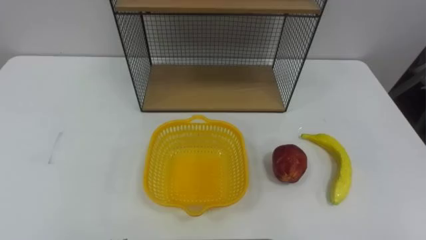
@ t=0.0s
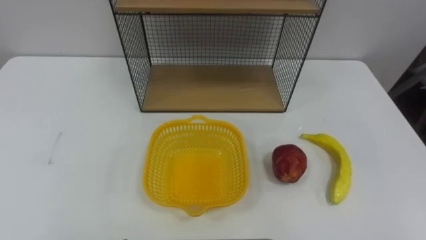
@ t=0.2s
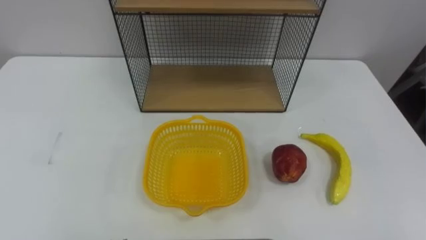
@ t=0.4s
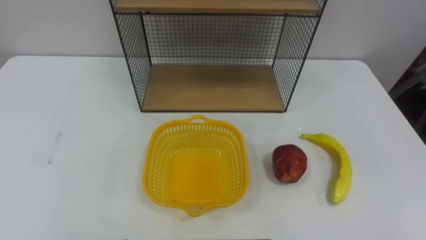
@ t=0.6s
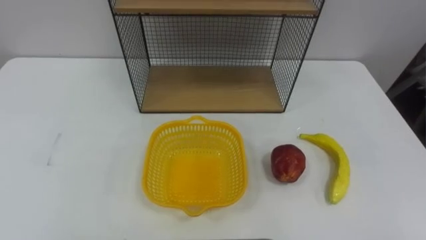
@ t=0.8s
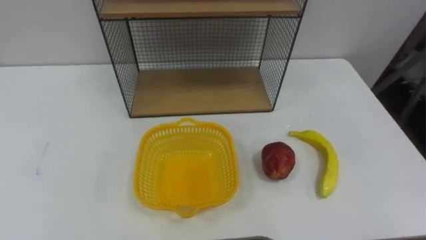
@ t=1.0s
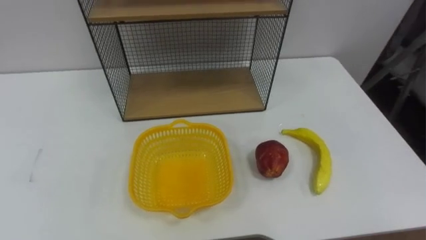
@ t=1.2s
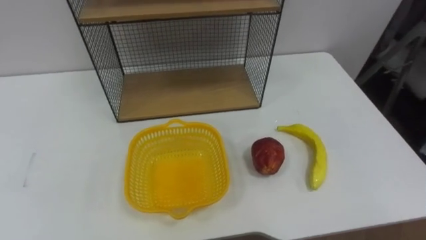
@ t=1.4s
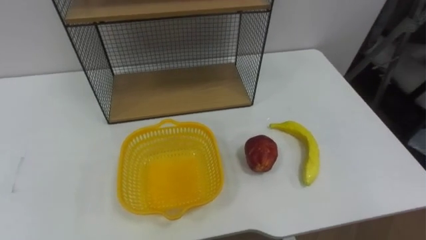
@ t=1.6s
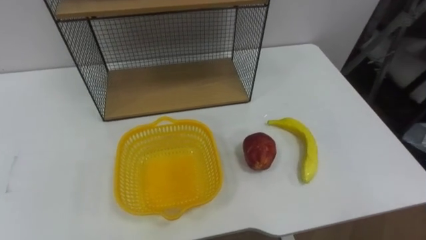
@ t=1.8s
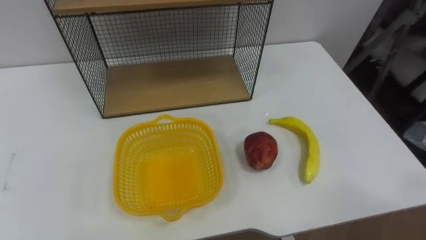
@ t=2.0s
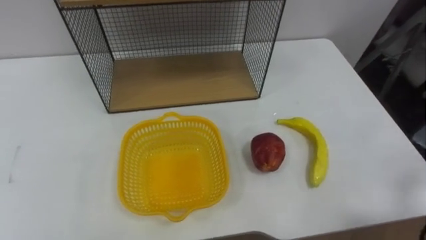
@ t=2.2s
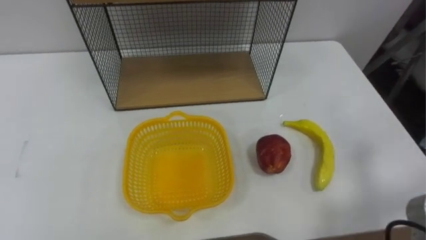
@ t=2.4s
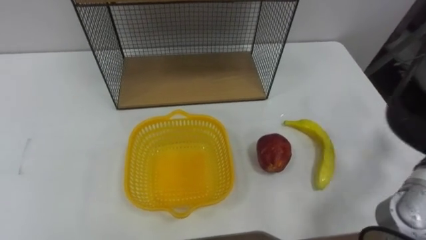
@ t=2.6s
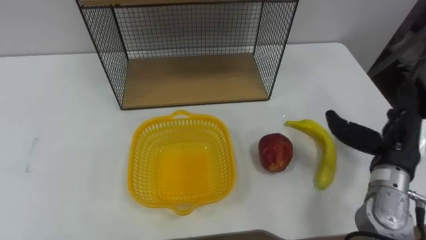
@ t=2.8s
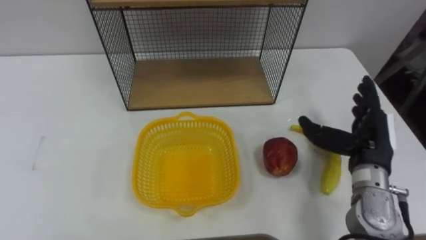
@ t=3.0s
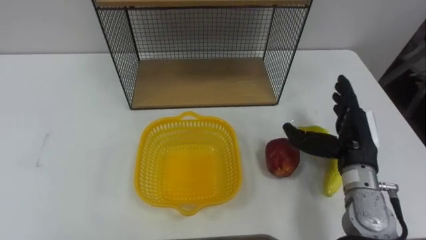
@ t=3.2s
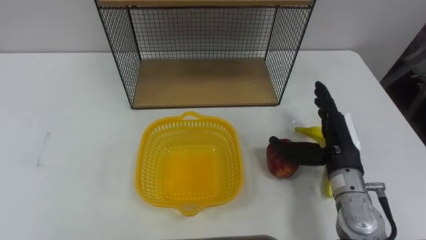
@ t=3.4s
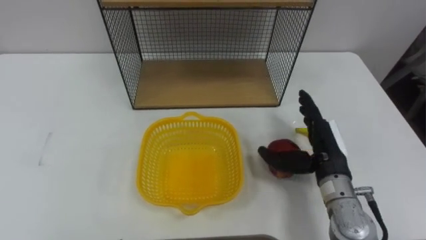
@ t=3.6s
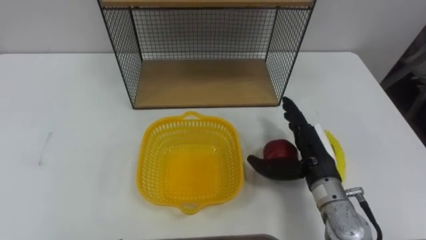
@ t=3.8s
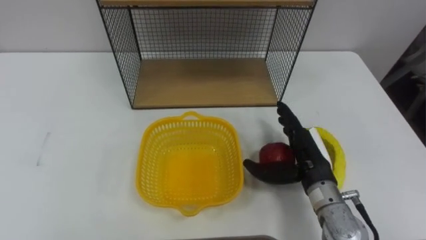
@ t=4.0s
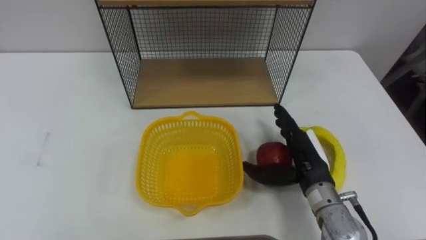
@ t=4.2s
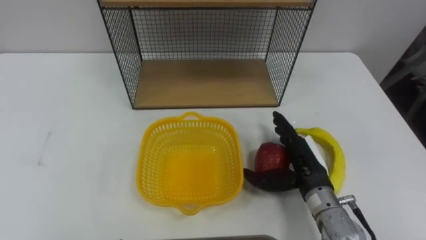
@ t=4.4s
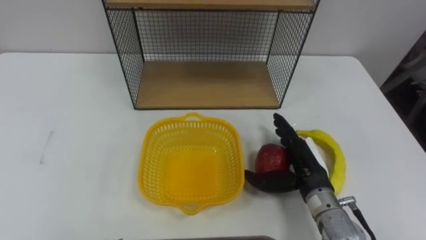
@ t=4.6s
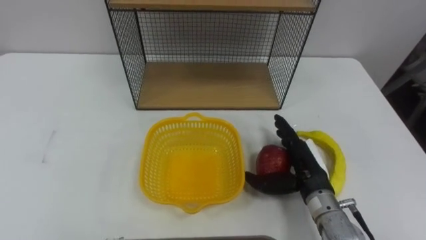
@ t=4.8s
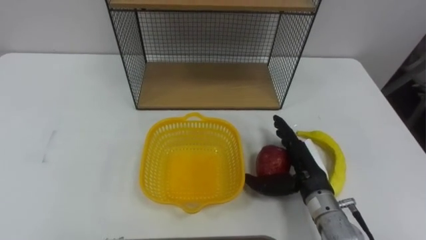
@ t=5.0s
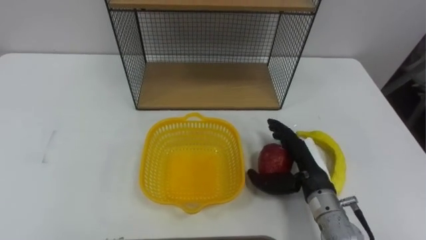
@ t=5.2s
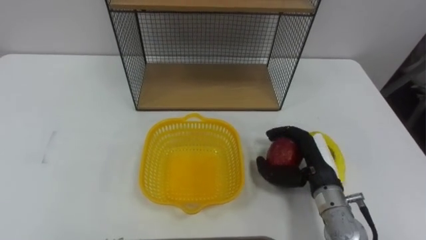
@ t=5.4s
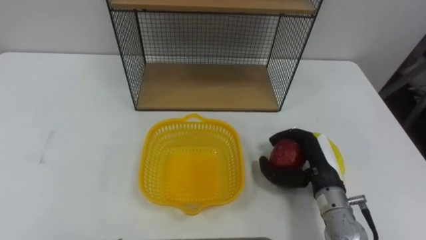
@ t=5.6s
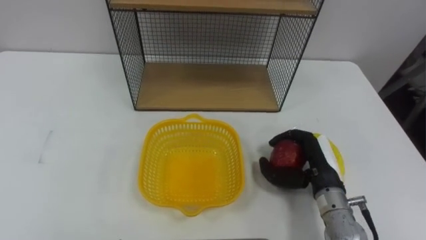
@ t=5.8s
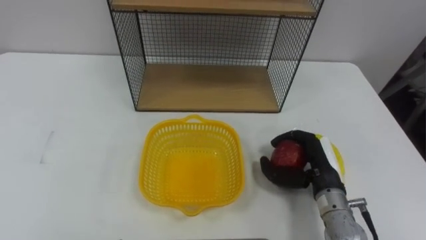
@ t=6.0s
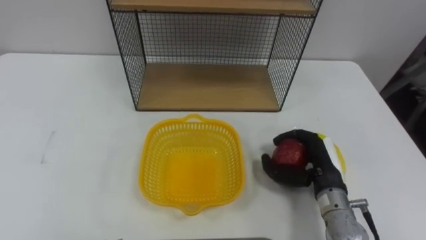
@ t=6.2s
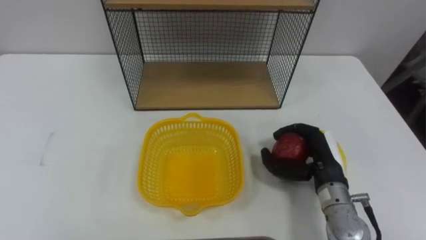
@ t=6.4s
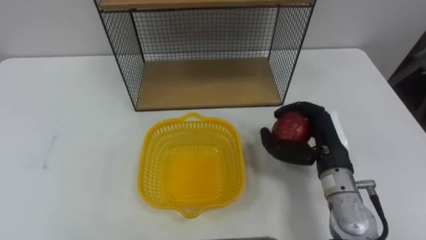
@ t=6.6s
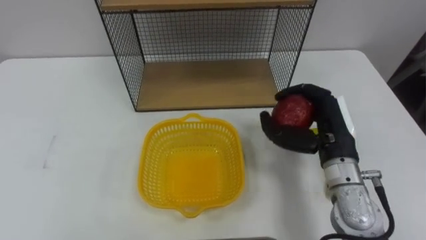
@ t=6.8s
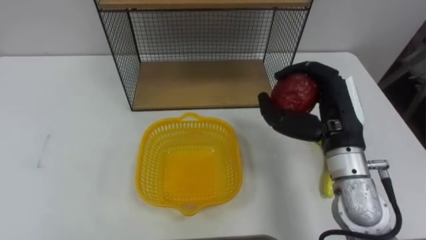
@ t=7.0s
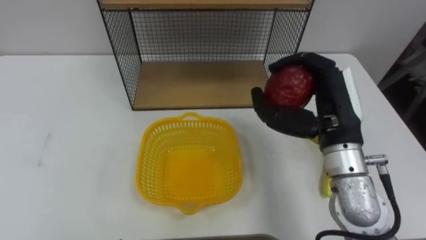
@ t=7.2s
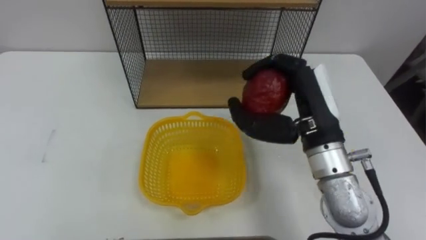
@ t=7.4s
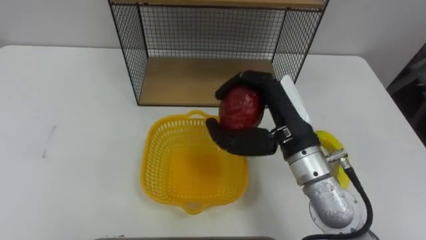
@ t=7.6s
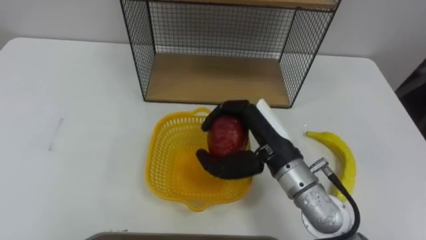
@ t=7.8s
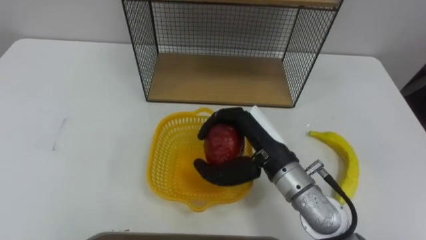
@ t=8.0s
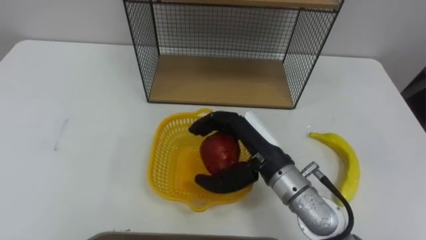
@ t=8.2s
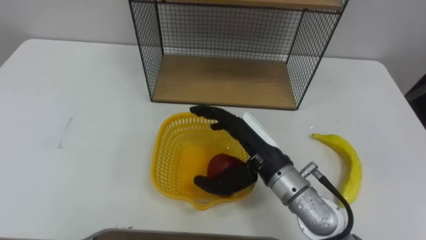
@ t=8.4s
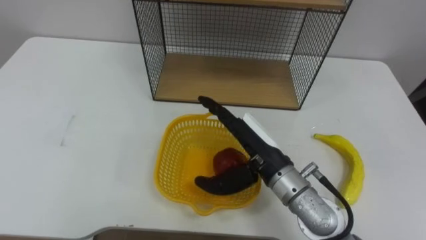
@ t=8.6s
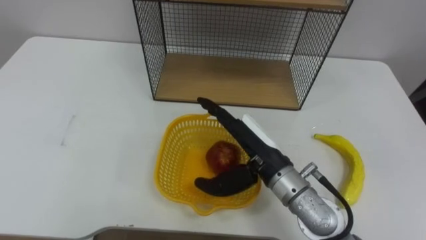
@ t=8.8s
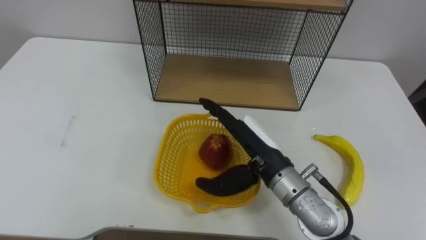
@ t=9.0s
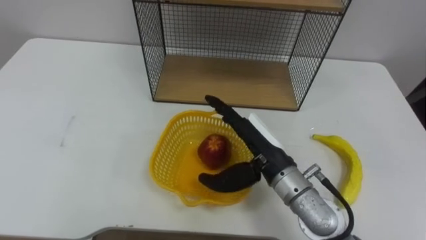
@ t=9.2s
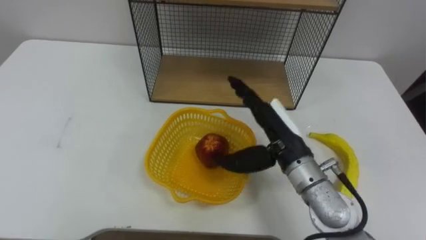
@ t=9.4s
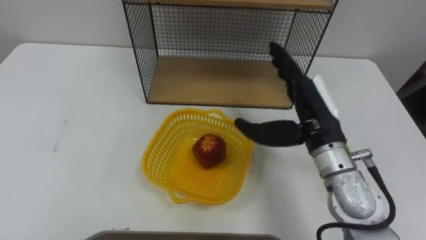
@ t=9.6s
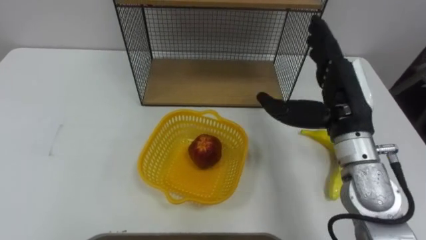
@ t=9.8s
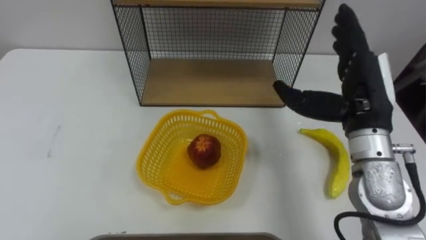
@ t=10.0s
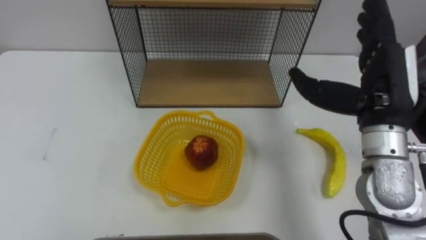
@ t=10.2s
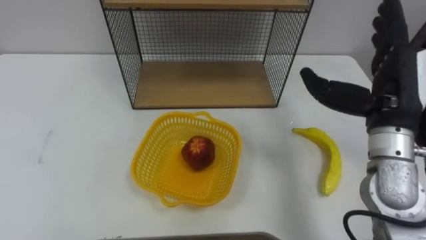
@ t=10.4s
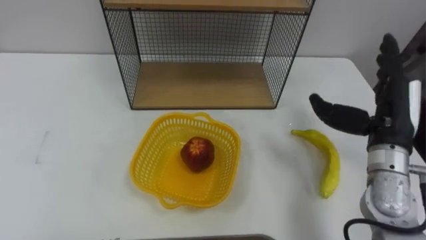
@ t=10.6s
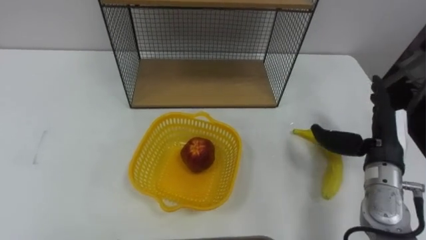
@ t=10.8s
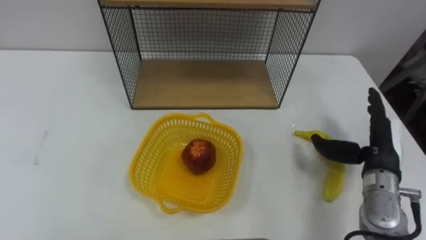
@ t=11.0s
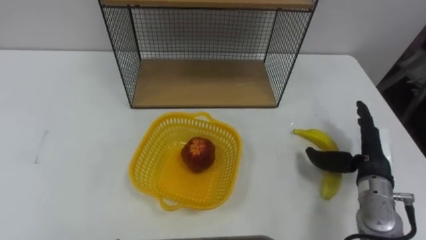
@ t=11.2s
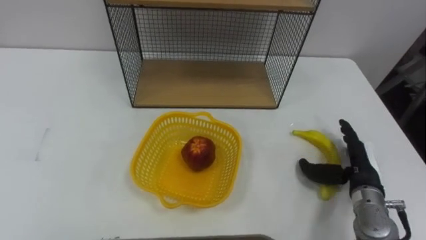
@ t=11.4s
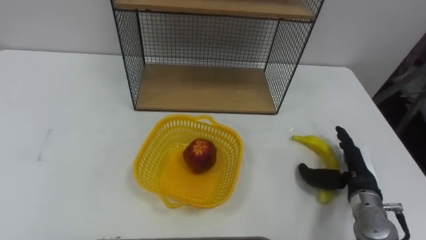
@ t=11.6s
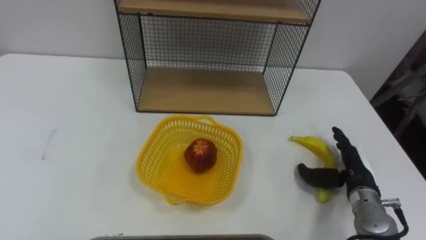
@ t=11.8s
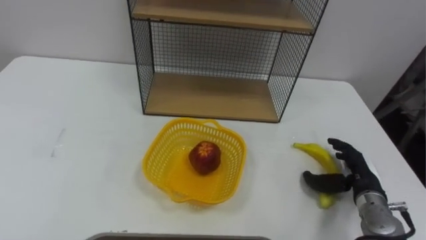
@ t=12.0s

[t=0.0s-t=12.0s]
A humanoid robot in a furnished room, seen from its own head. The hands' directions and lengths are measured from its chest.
Task of the whole recording: Put the fruit on the table into the basket, then place the basket on the shelf.
t=3.0s to t=4.4s: The right hand travels to the left and downward by roughly 10 cm.
t=4.4s to t=6.0s: The right hand closes.
t=6.0s to t=7.6s: The right hand is displaced upward and to the left by roughly 20 cm.
t=7.6s to t=9.0s: The right hand heads downward, covering approximately 5 cm, and opens up.
t=9.0s to t=10.4s: The right hand moves to the right and upward, approximately 20 cm.
t=10.4s to t=12.0s: The right hand goes about 25 cm downward.

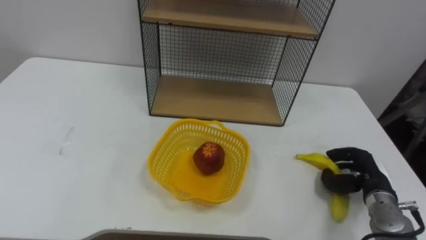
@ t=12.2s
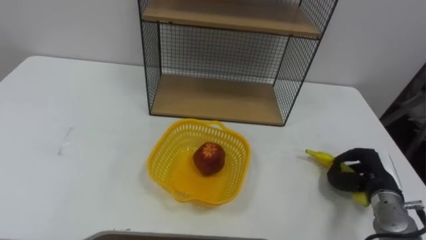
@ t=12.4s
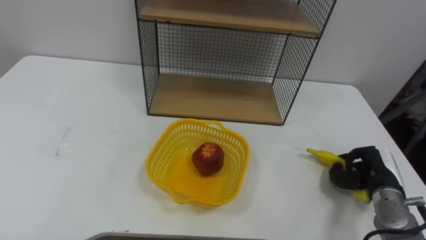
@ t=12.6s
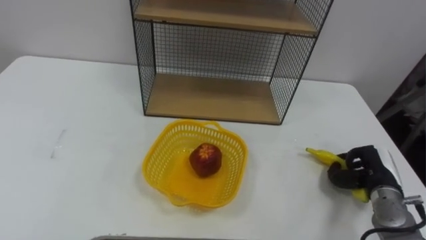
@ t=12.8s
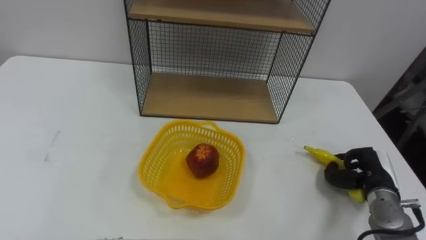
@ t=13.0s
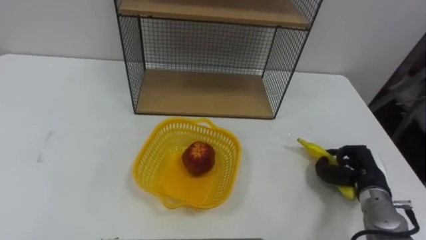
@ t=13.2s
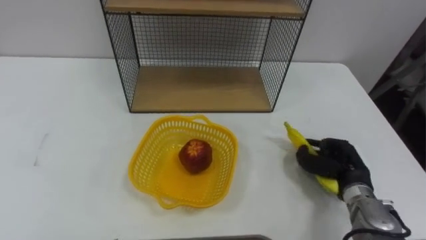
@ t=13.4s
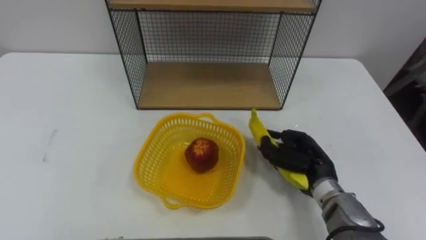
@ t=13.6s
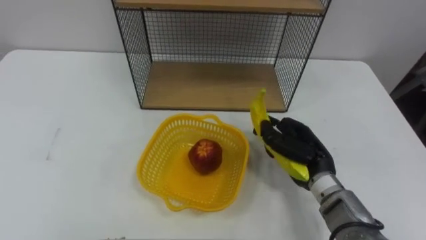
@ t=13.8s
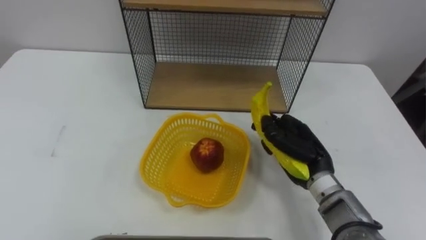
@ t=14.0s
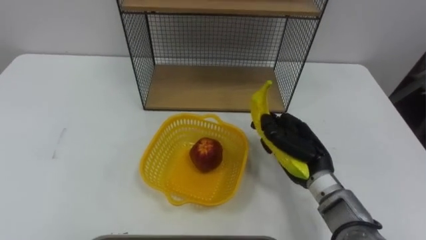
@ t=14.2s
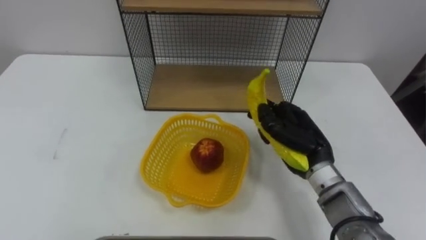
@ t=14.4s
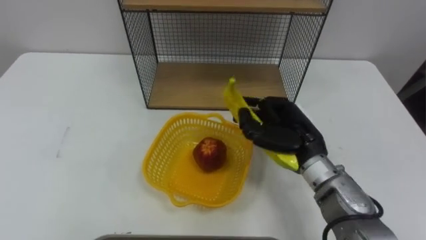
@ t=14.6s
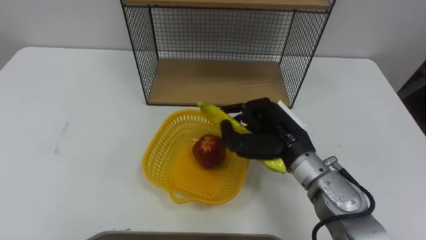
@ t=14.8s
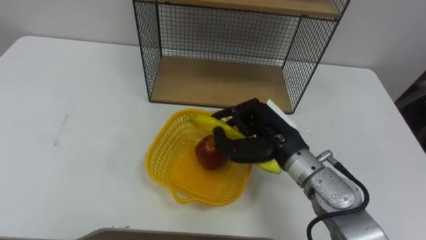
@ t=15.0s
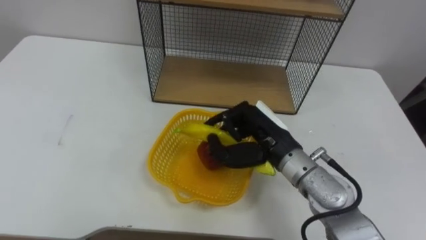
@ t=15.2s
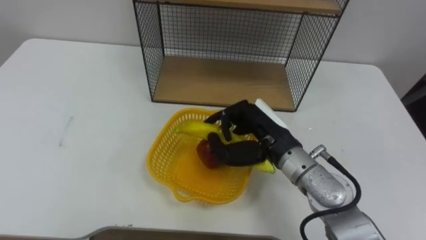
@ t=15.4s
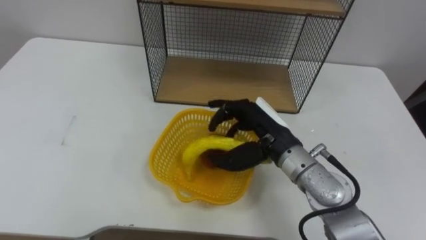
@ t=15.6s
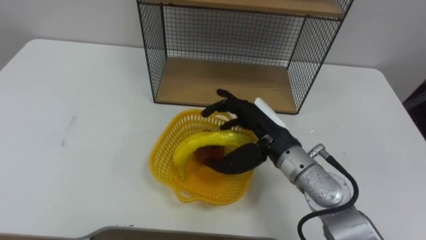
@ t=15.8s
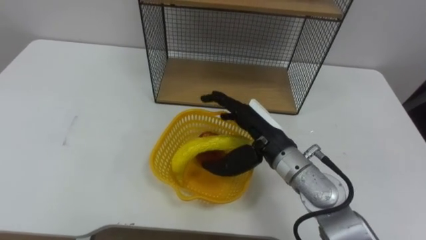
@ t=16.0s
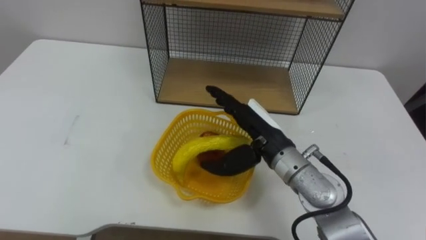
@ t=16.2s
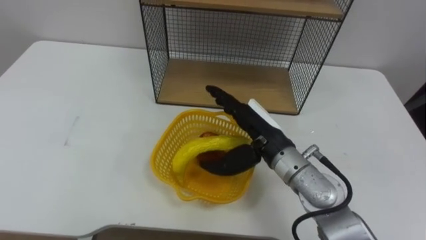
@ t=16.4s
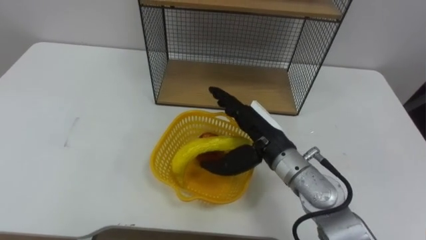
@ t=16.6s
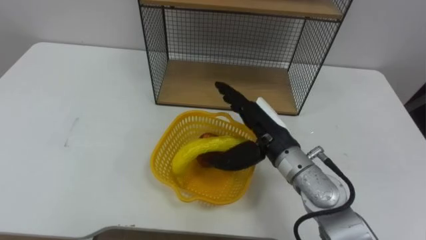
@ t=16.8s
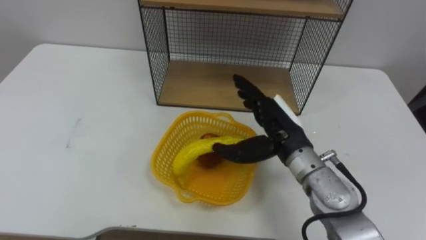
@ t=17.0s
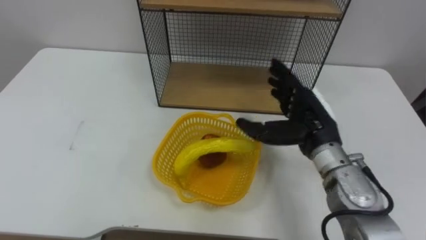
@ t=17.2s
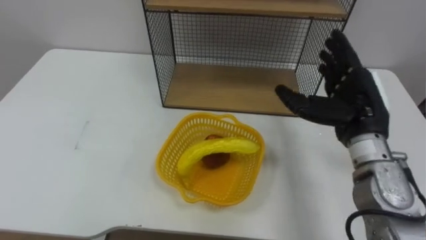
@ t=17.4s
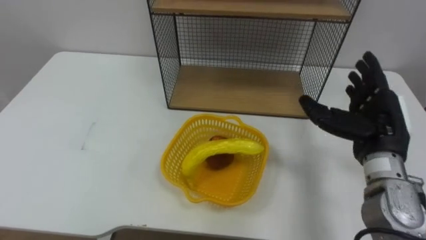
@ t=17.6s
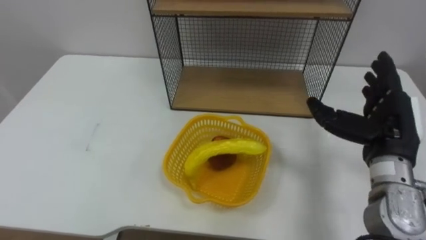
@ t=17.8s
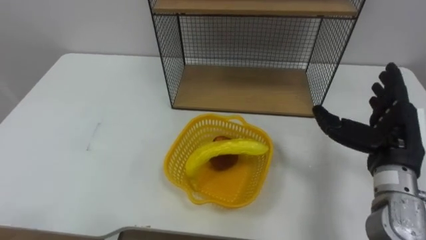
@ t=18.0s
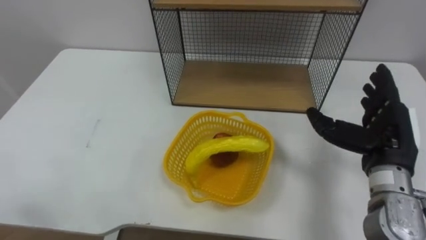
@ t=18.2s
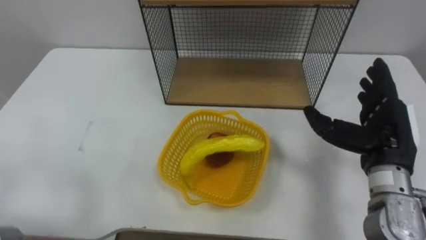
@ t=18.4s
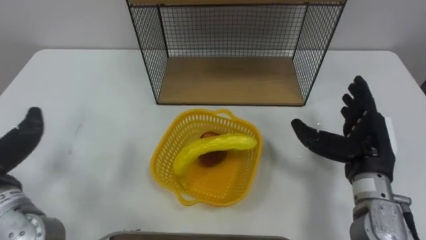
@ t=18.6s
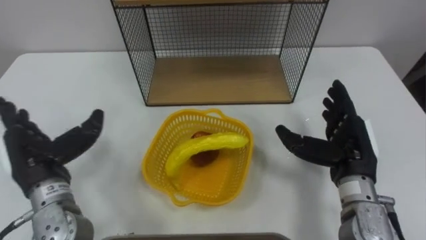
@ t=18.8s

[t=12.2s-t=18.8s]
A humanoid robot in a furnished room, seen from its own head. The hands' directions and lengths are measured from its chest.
Task of the whole recording: Put the fruit on the table into the basket, then place the basket on the shelf.
t=12.2s to t=13.8s: The right hand is displaced to the left and upward by approximately 15 cm, and closes.
t=13.8s to t=15.4s: The right hand heads to the left and upward, covering about 10 cm.
t=15.4s to t=17.2s: The right hand is displaced to the right by some 5 cm, and opens.
t=17.2s to t=18.8s: The right hand travels to the right by roughly 10 cm.